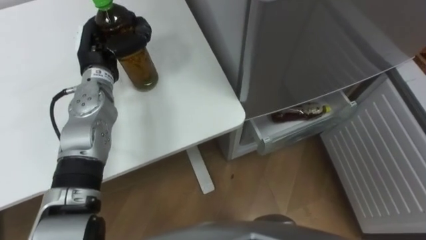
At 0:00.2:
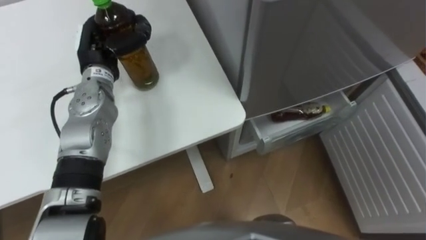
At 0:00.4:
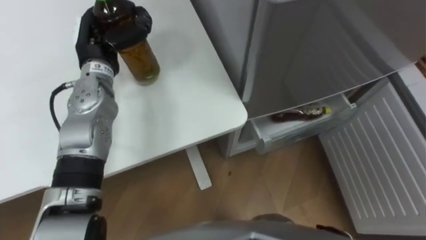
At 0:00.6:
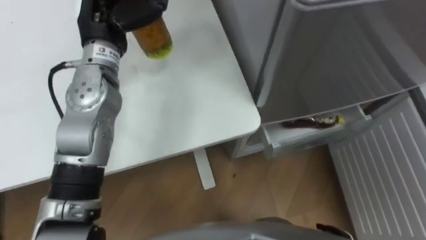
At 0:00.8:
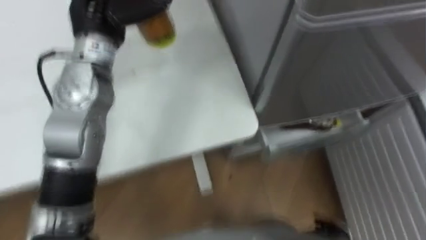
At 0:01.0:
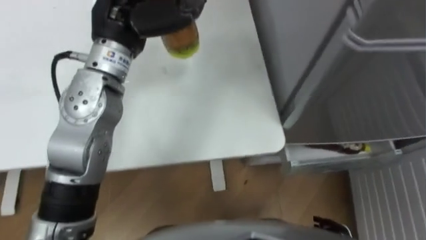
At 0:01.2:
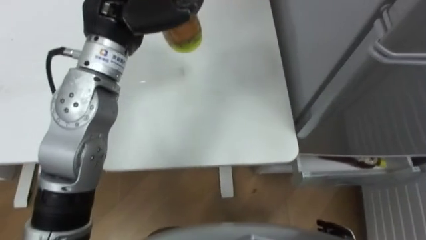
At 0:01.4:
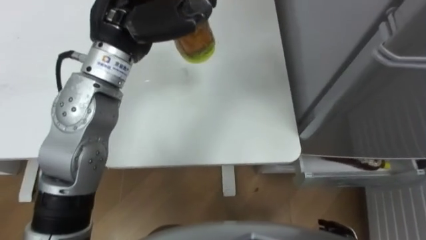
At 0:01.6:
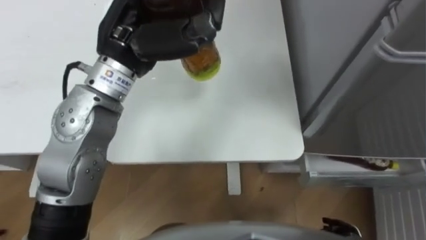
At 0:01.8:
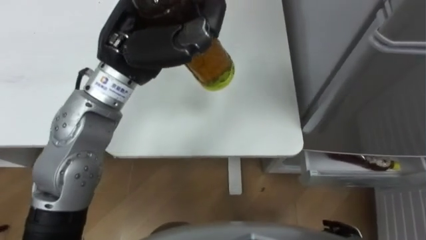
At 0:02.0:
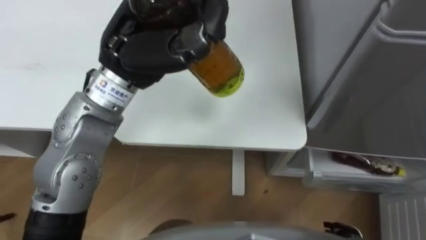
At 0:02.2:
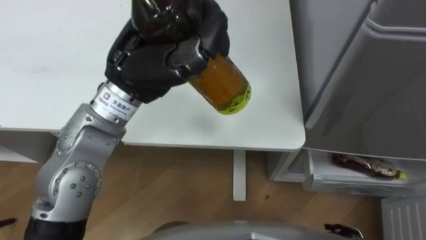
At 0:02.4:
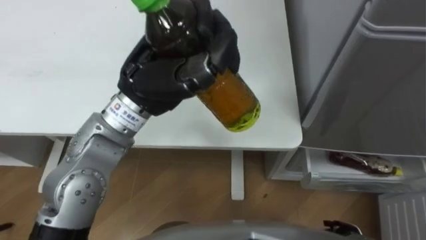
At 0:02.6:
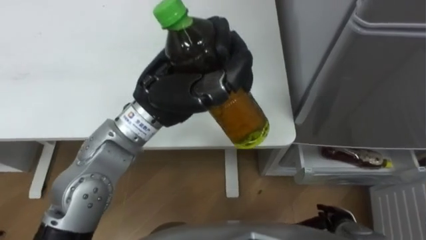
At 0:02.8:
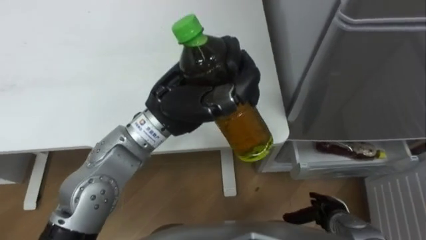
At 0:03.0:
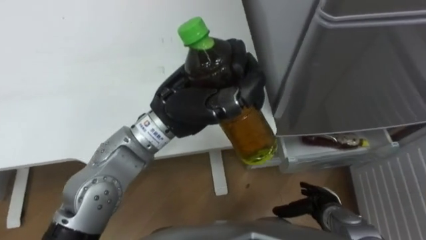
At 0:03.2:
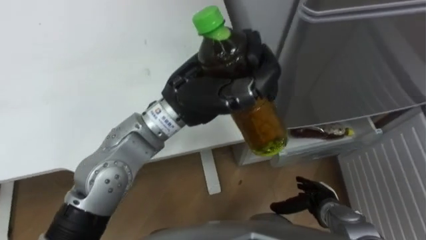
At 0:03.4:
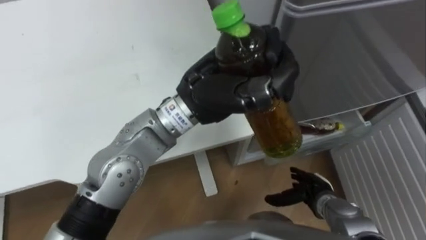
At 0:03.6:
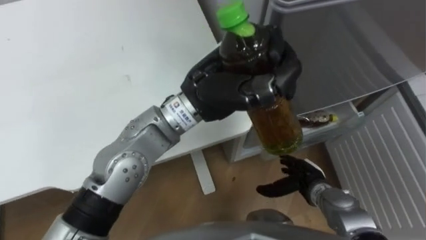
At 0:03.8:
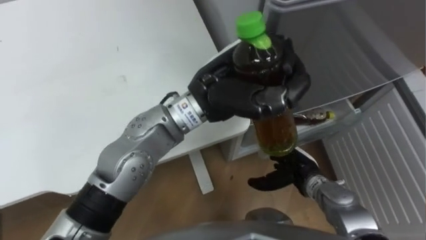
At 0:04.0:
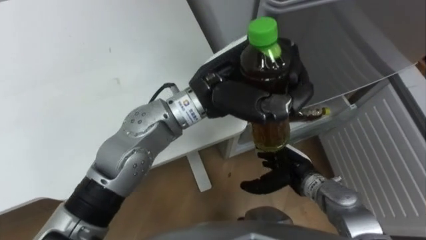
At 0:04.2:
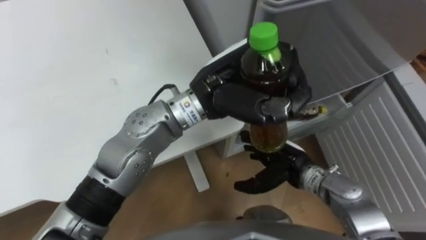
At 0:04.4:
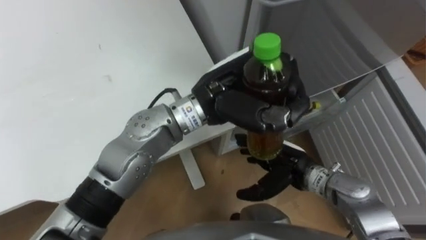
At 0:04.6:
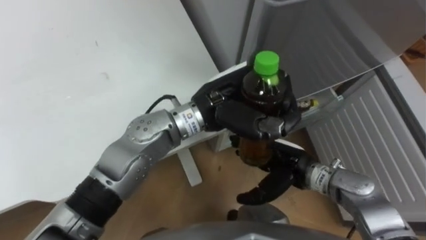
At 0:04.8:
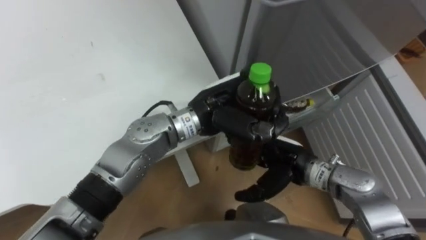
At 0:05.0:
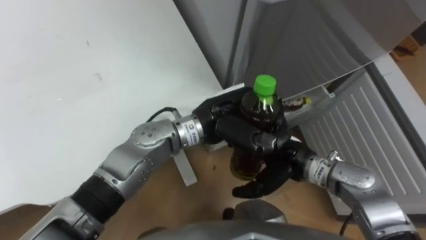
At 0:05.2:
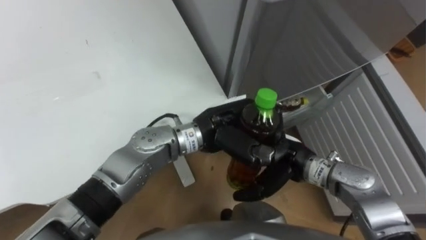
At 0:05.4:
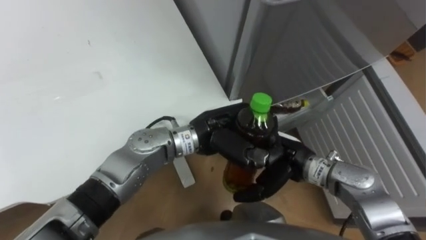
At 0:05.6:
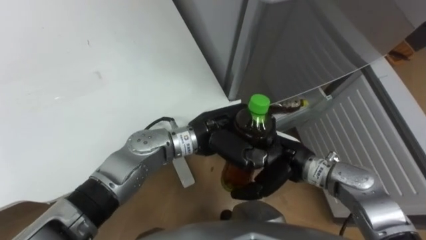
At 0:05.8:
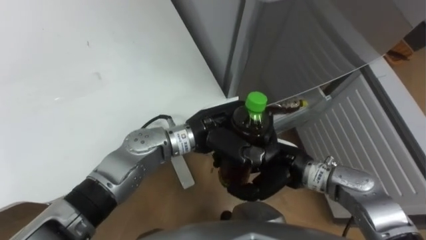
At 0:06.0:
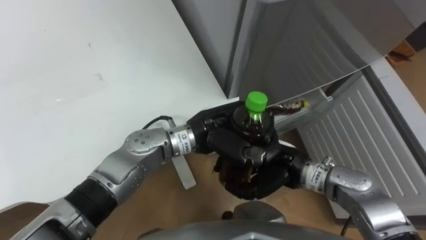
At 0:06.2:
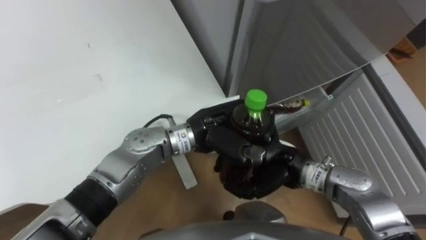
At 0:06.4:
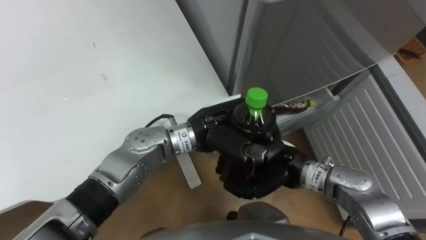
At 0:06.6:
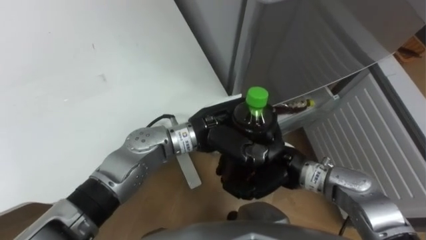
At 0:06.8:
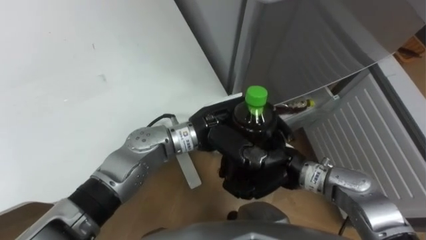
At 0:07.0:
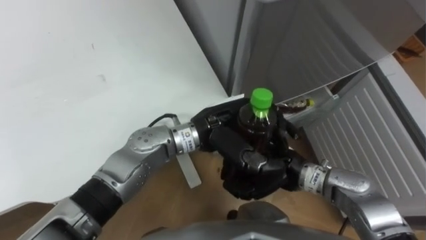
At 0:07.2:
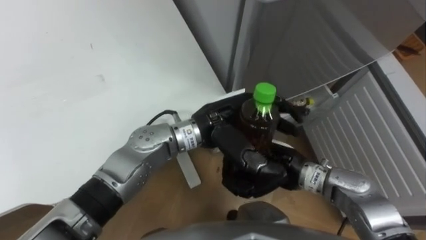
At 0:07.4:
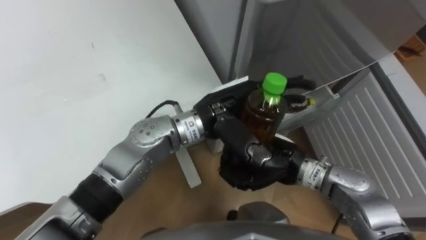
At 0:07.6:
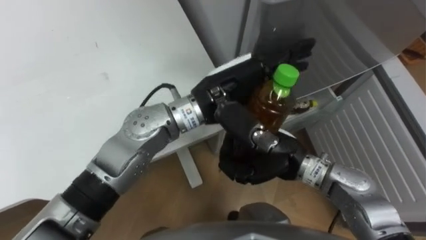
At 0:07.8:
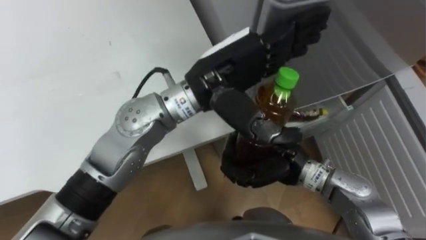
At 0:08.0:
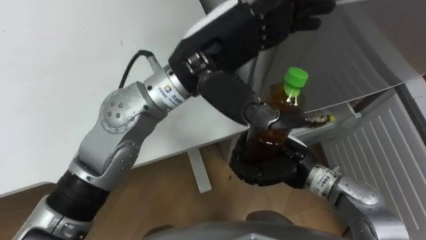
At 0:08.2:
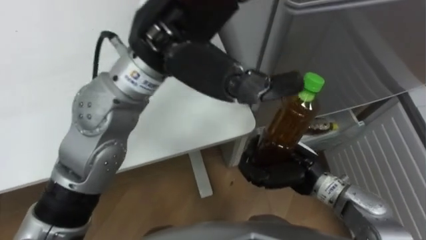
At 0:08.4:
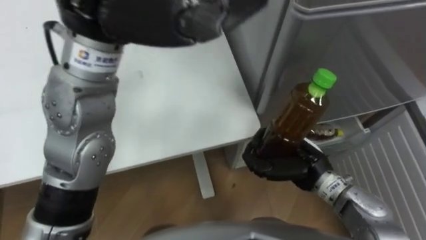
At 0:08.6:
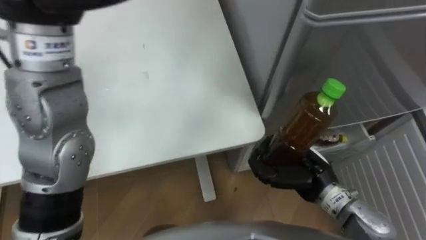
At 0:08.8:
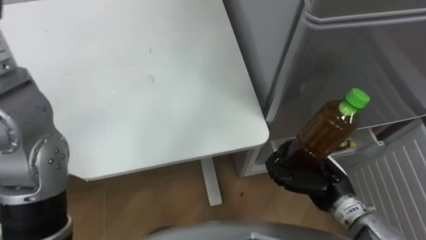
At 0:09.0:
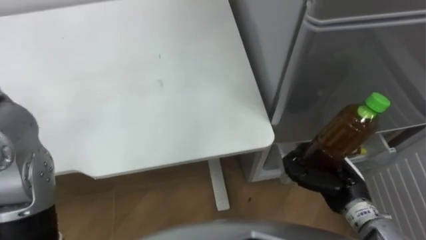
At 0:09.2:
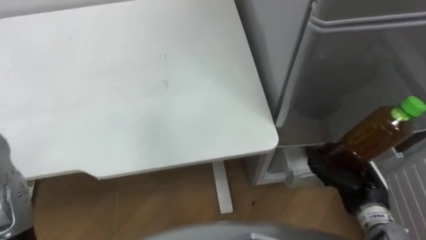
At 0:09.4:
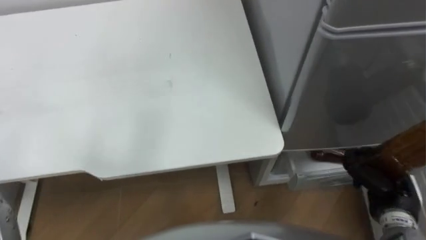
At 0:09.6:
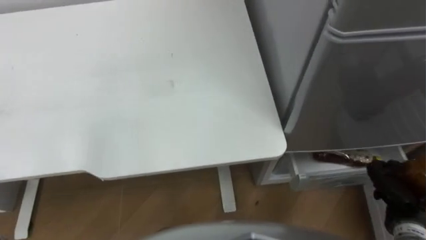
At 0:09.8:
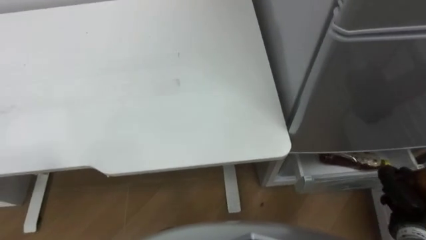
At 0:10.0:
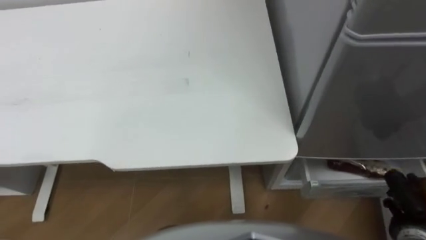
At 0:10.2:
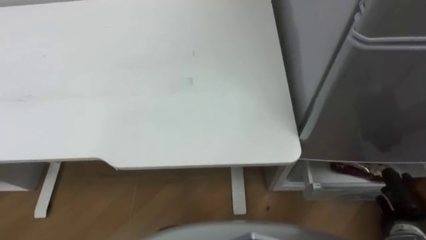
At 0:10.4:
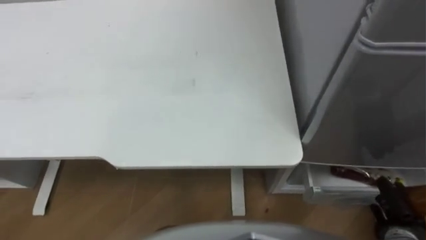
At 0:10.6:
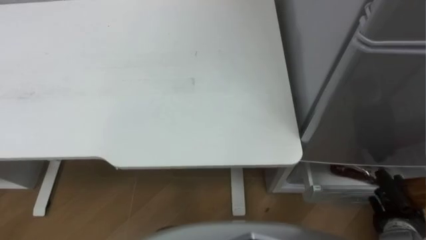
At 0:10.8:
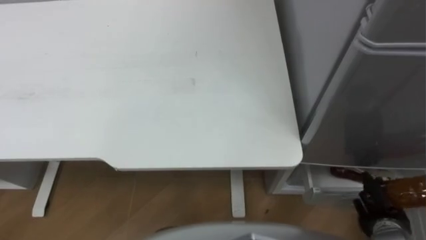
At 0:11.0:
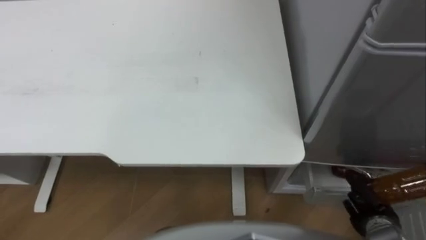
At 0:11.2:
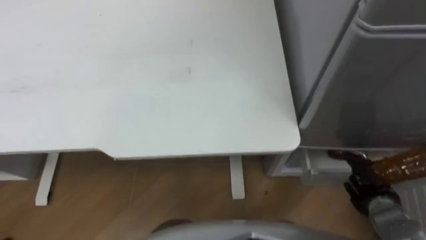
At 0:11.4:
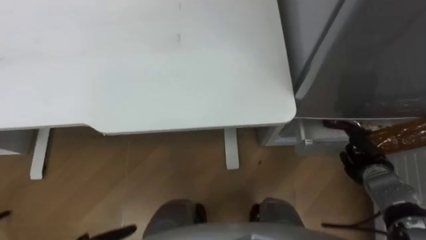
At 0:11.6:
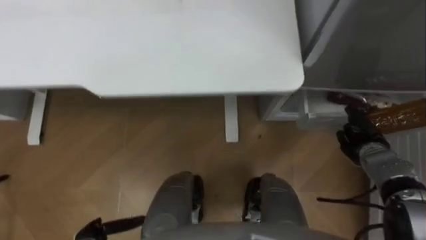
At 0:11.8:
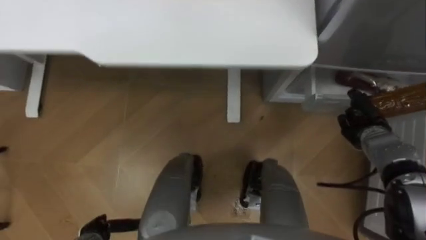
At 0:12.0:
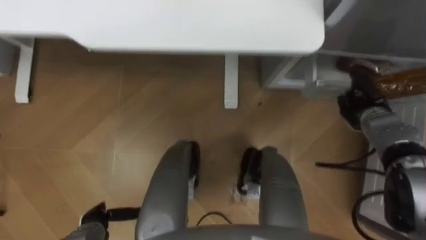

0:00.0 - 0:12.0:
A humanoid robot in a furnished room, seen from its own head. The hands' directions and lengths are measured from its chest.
Task of the whole recording: Place the drink on the table on the bottom shelf of the refrigerator, then close the drawer and the refrigerator door.
0:00.0 - 0:01.6: The left hand shifts roughly 20 cm upward, to the right and backward.
0:01.6 - 0:03.0: The left hand shifts about 10 cm to the right, downward and backward.
0:03.0 - 0:04.4: The right hand heads upward, to the left and forward, covering approximately 15 cm; the left hand is displaced to the right by about 5 cm.
0:04.4 - 0:06.0: The left hand goes some 10 cm downward. Meanwhile the right hand closes its fingers.
0:06.0 - 0:07.6: The left hand travels upward by about 10 cm, and opens its fingers.
0:07.6 - 0:09.0: The right hand is displaced to the right by approximately 15 cm.
0:09.0 - 0:10.4: The right hand is displaced to the right, backward and downward by approximately 15 cm.
0:10.4 - 0:12.0: The right hand is displaced forward by roughly 25 cm.

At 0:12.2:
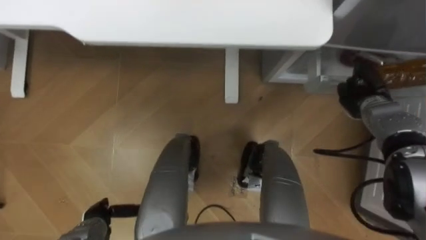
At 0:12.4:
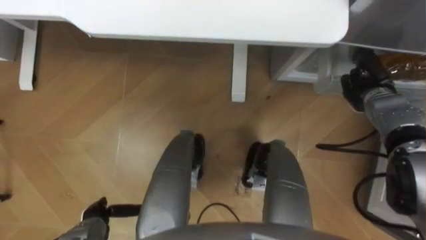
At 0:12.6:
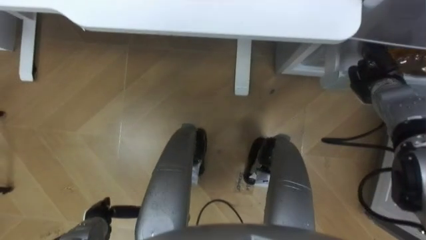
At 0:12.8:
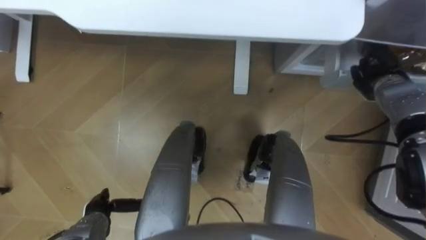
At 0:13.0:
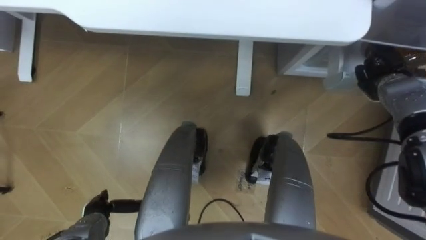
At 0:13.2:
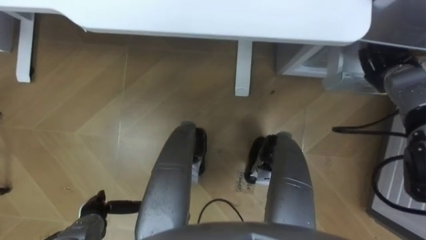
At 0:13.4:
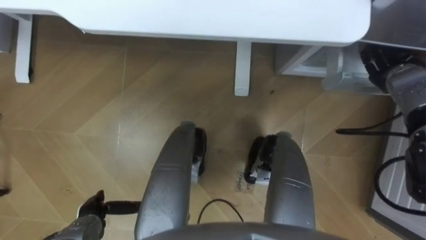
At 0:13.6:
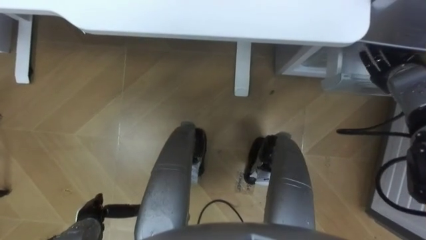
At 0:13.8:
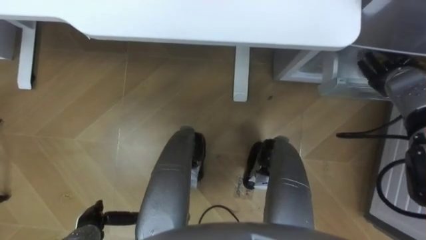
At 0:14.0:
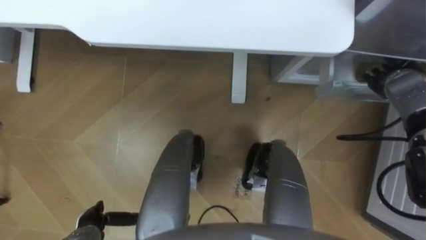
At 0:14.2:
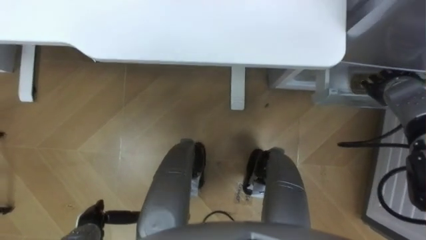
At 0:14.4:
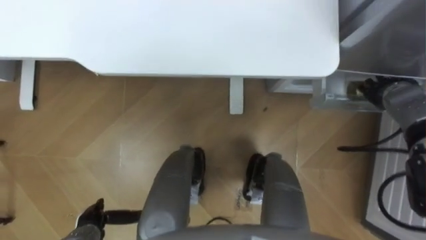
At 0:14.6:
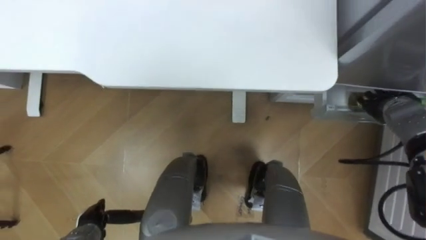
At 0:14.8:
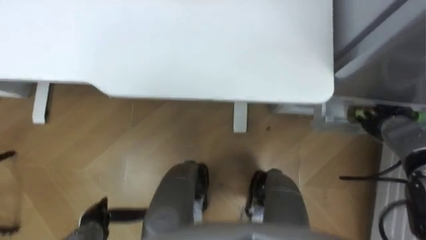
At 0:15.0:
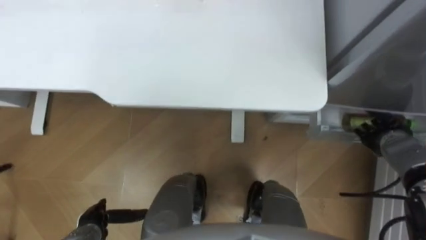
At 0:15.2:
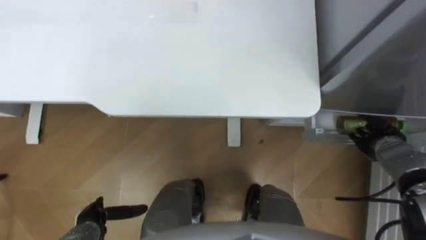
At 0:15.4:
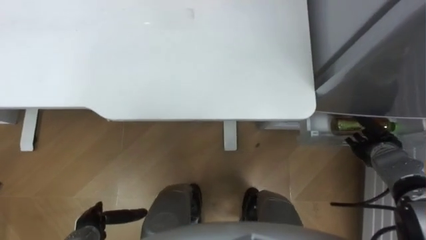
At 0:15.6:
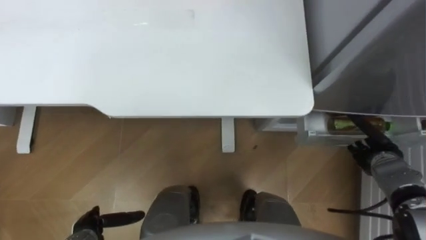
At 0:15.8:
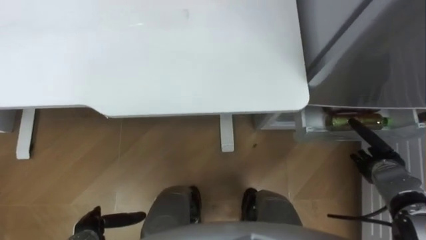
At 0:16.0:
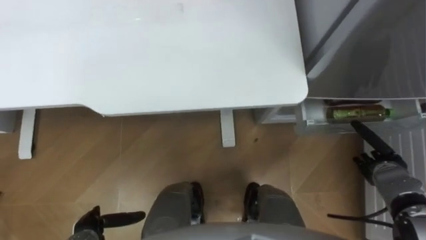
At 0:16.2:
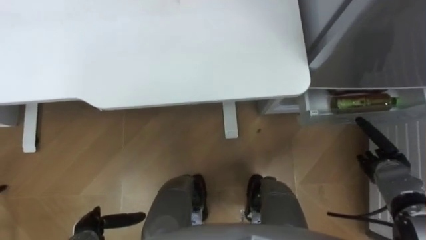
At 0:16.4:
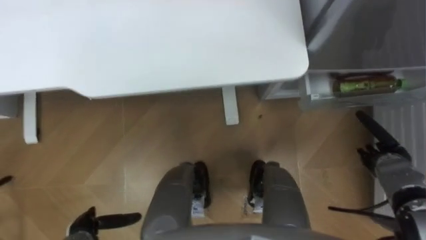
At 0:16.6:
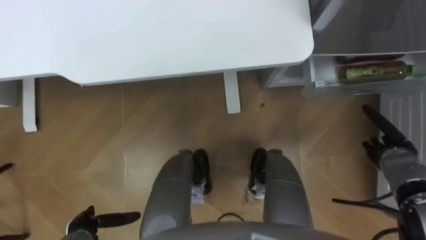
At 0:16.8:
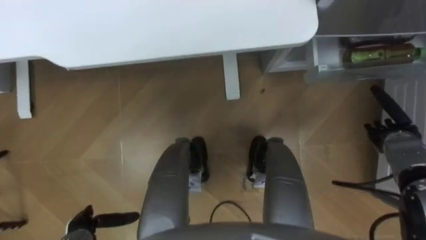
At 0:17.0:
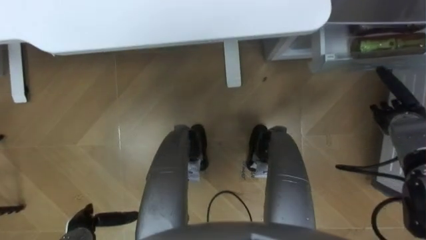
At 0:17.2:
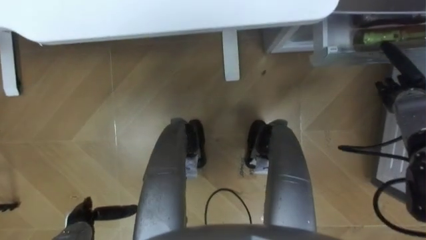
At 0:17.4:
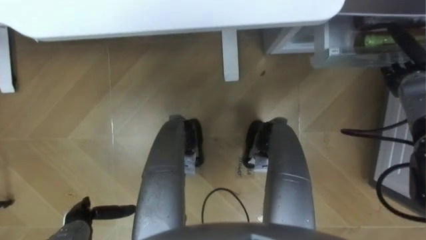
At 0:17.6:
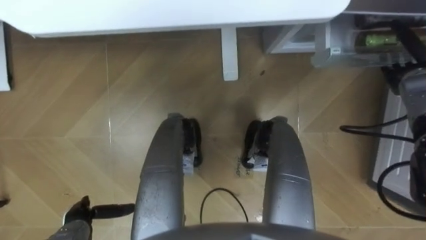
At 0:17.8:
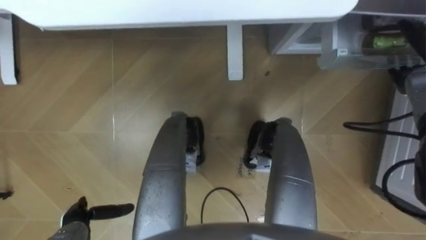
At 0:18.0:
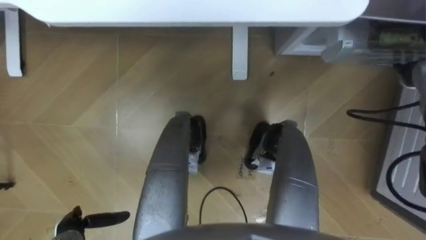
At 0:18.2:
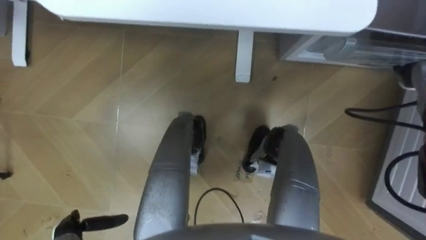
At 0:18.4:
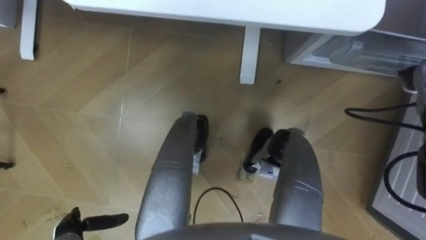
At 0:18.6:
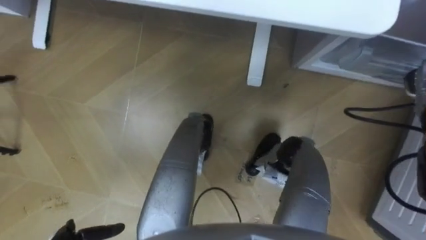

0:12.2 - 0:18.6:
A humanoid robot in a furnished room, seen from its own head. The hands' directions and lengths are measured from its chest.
Task of the whole recording: Place the drink on the table on the bottom shelf of the refrigerator, then close the drawer and the refrigerator door.
0:12.2 - 0:13.8: The right hand travels upward by approximately 5 cm, and opens.
0:13.8 - 0:15.4: The right hand moves backward and downward, some 15 cm.
0:15.4 - 0:17.0: The right hand ends up some 5 cm from where it was.
0:17.0 - 0:18.6: The right hand moves upward and forward, roughly 10 cm.
